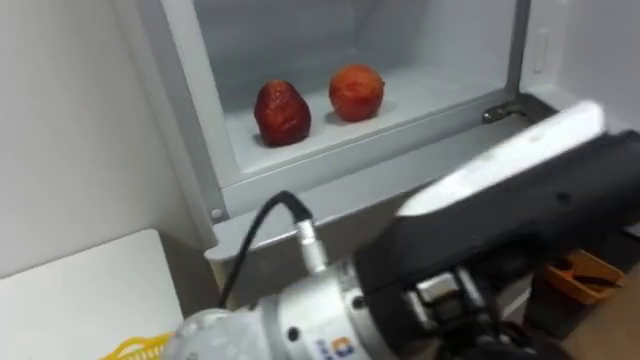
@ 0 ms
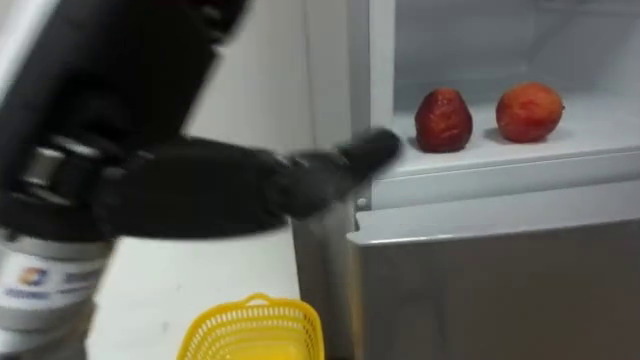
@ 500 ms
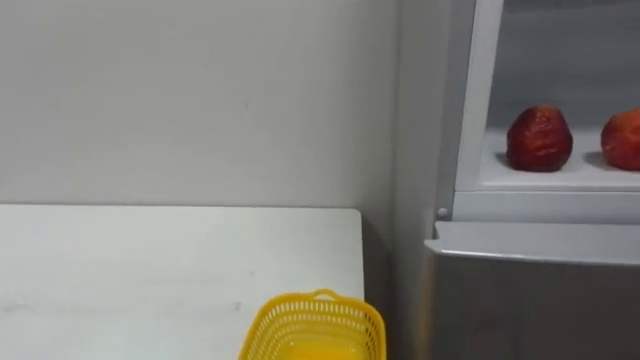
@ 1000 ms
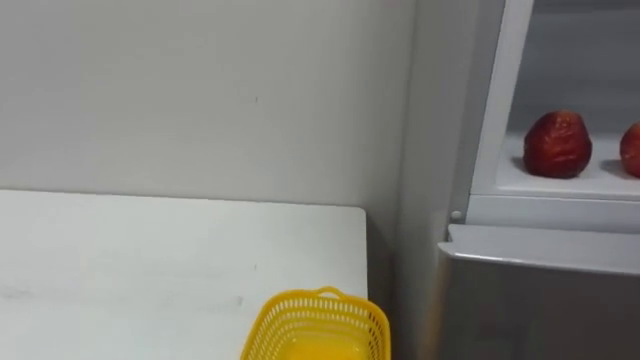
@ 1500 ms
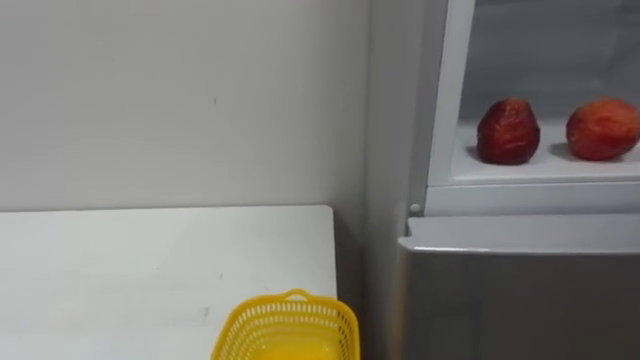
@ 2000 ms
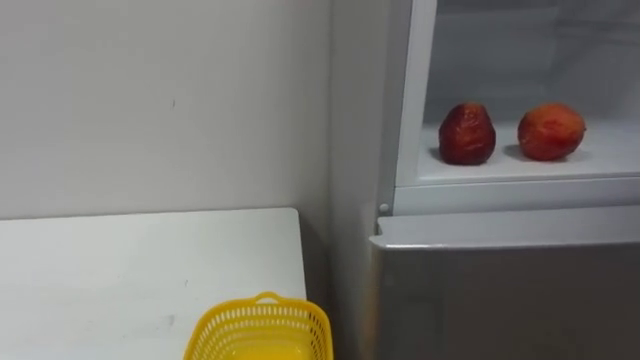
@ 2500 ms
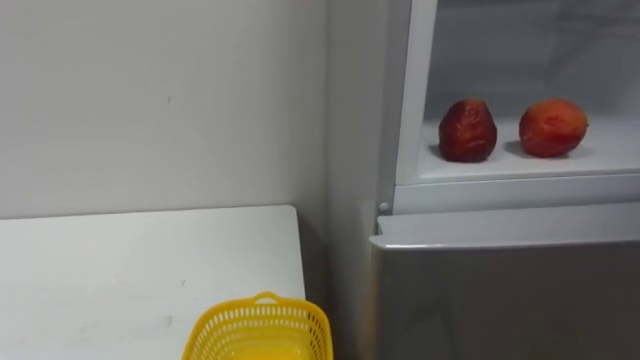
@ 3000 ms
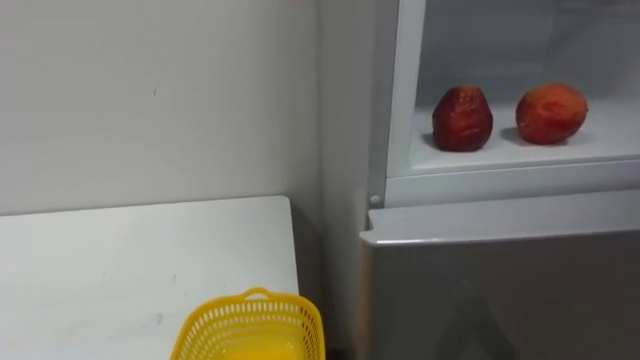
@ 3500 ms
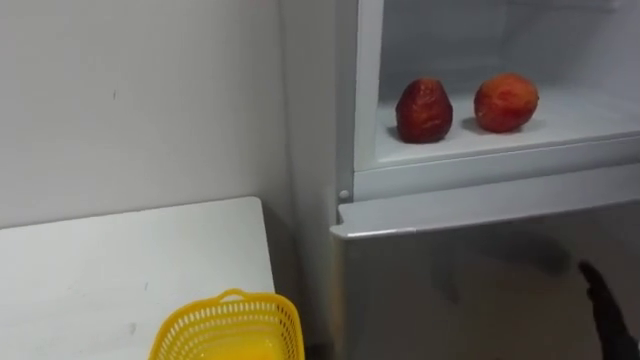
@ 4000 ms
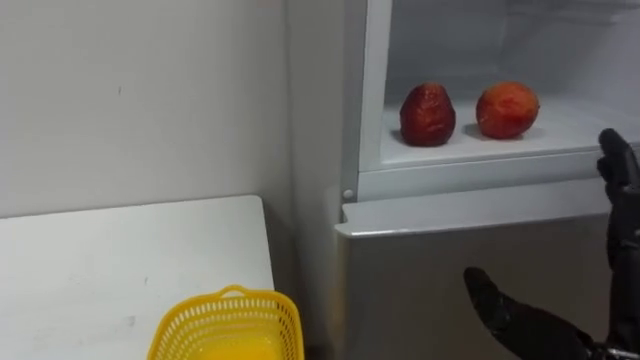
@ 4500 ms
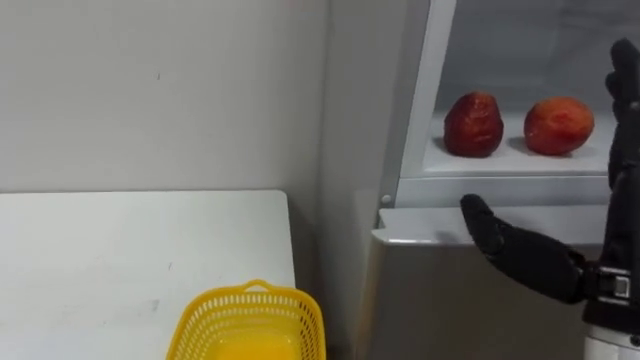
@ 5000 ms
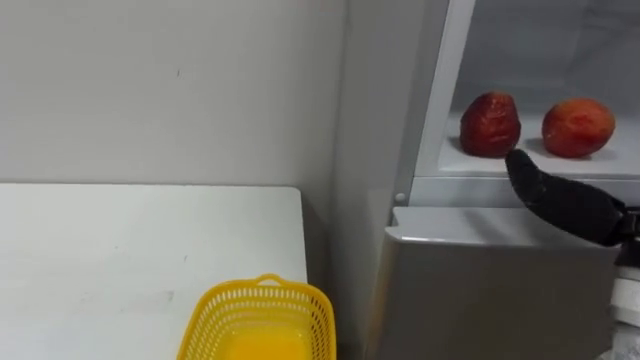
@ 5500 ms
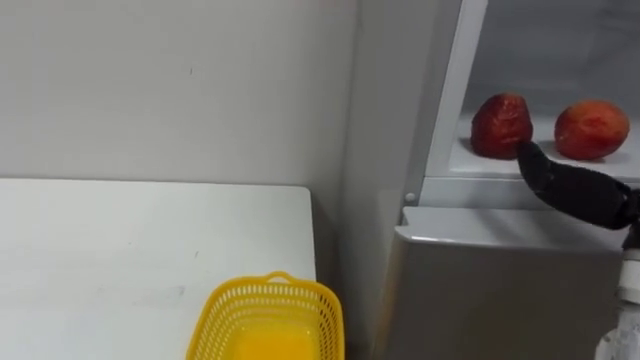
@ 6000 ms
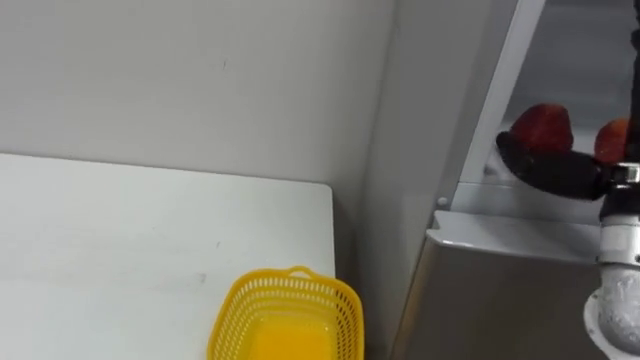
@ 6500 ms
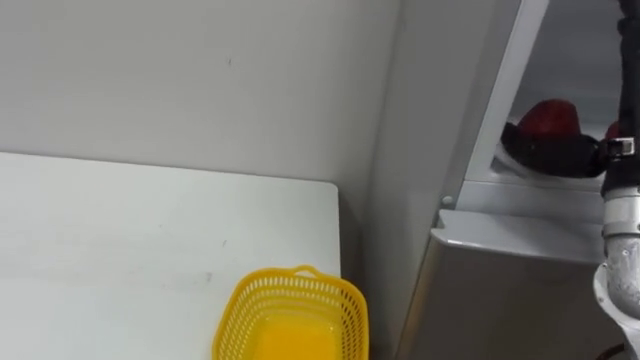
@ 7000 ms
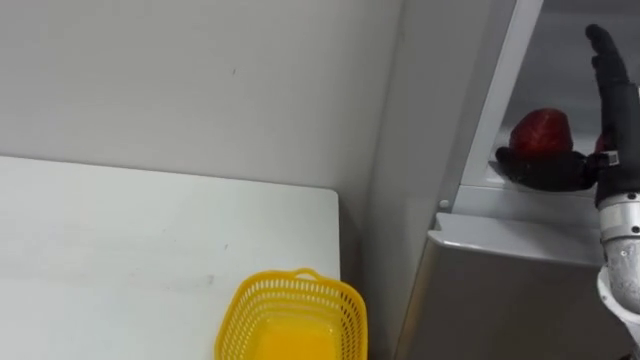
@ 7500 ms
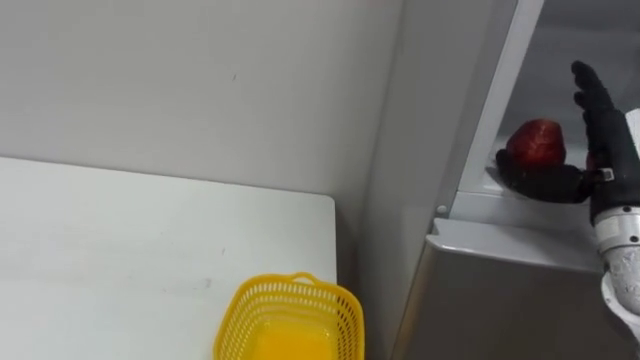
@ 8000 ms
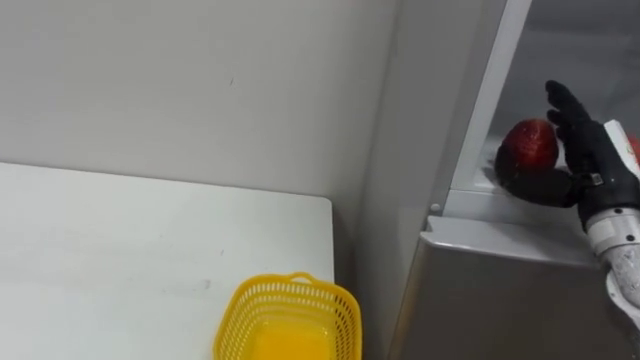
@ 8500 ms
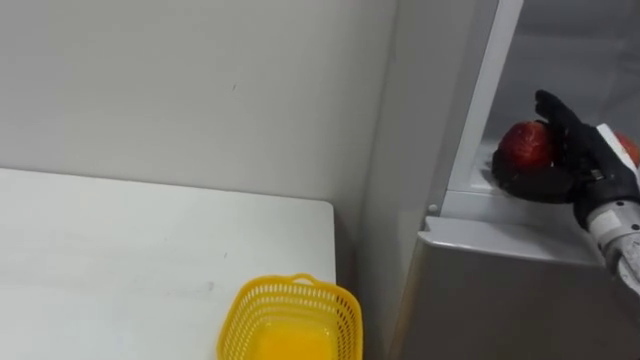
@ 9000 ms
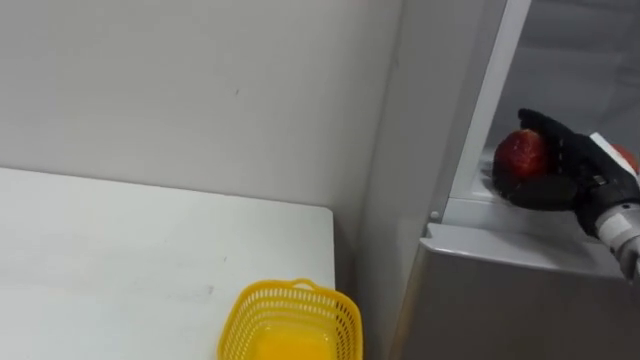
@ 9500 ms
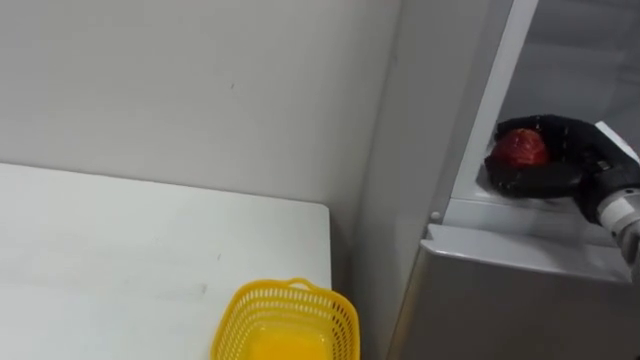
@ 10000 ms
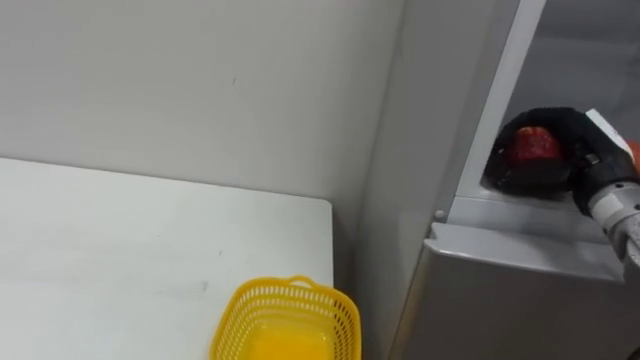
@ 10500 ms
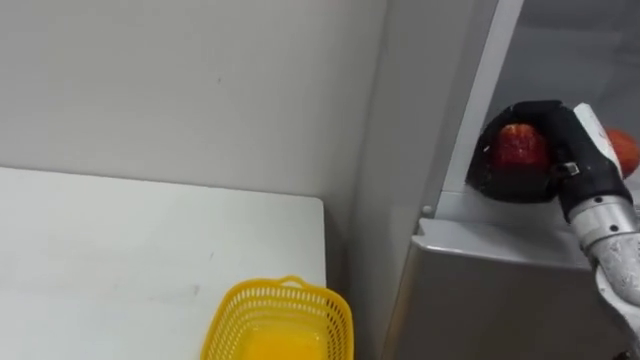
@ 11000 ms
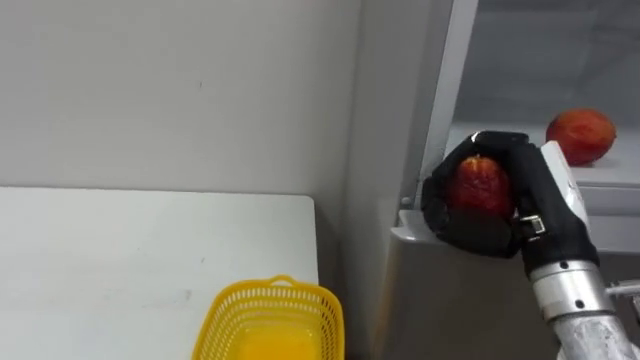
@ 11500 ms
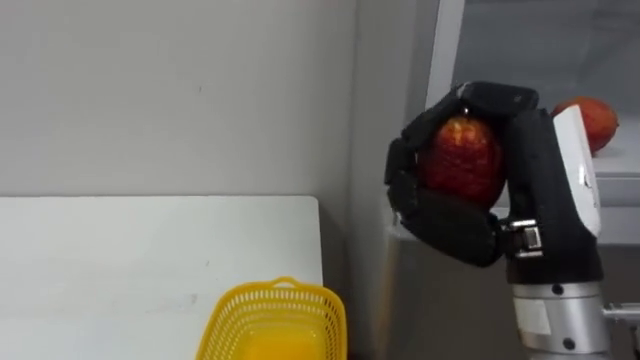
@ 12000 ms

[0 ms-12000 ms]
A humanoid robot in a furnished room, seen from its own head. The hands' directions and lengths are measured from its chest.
Task of the whole recording: Open the refrigerator door, take out the apple and the pomegranate, place them in the fruit basket on the left, and close the refrigerator door.
8000 ms to 10000 ms: The right hand closes.
10000 ms to 12000 ms: The right hand goes some 20 cm backward, to the left and upward.

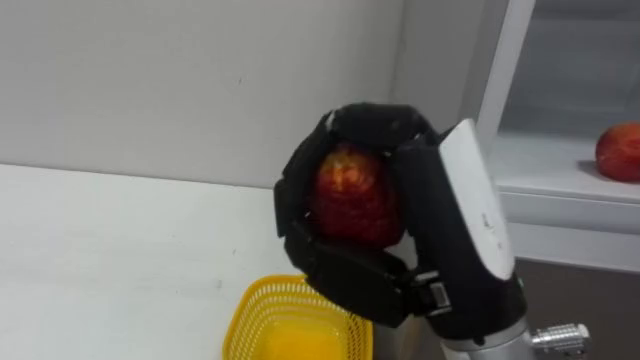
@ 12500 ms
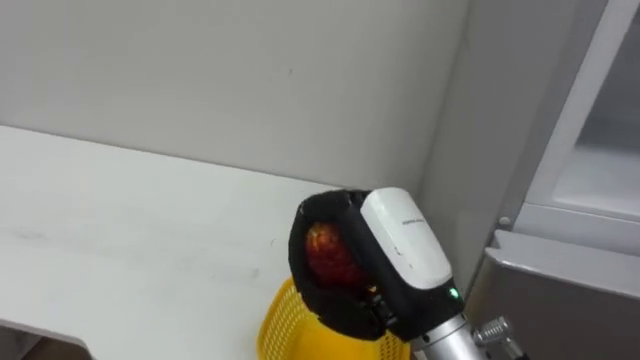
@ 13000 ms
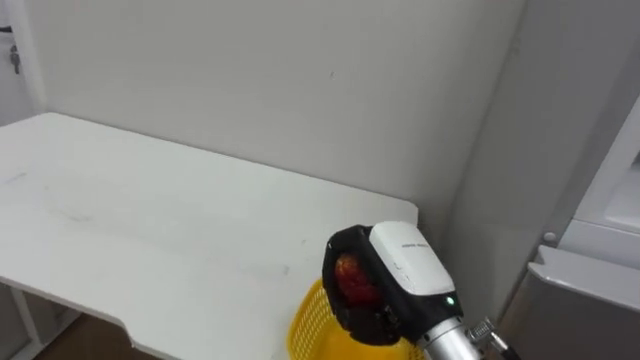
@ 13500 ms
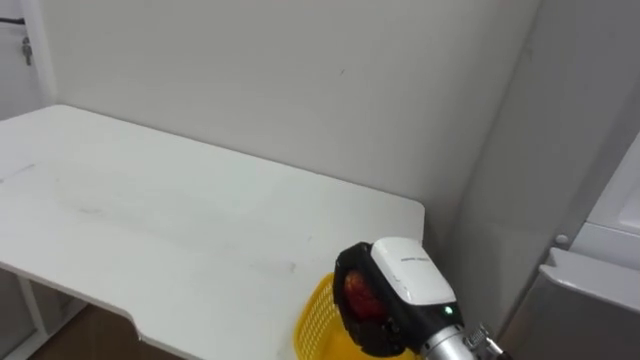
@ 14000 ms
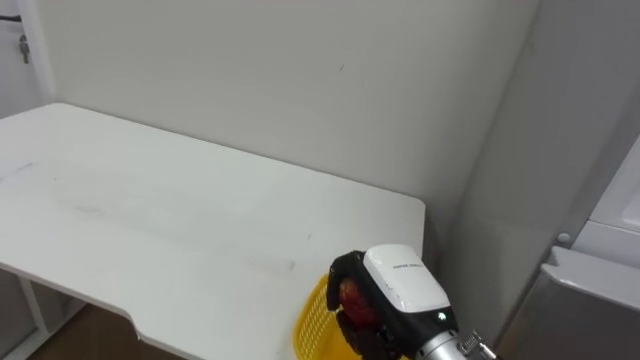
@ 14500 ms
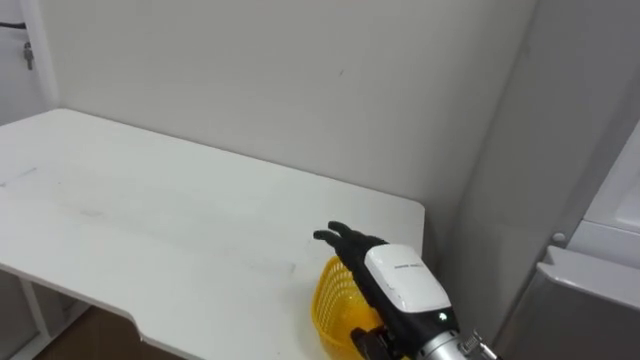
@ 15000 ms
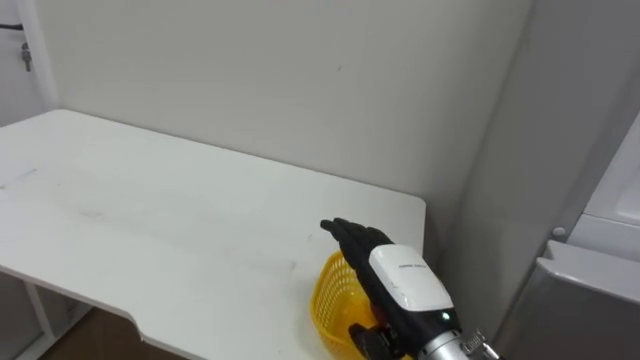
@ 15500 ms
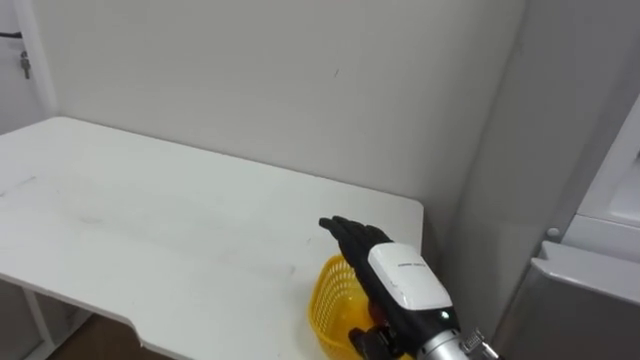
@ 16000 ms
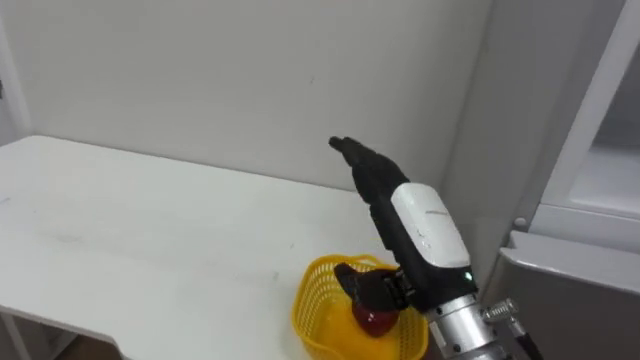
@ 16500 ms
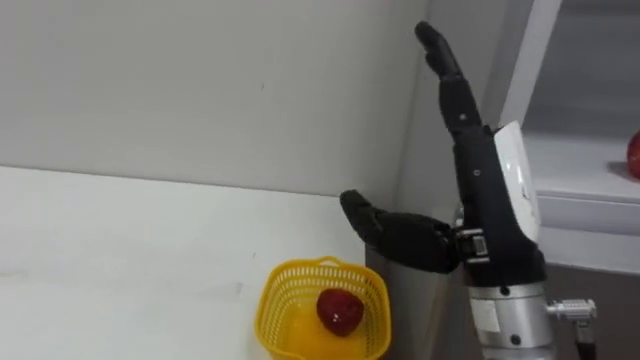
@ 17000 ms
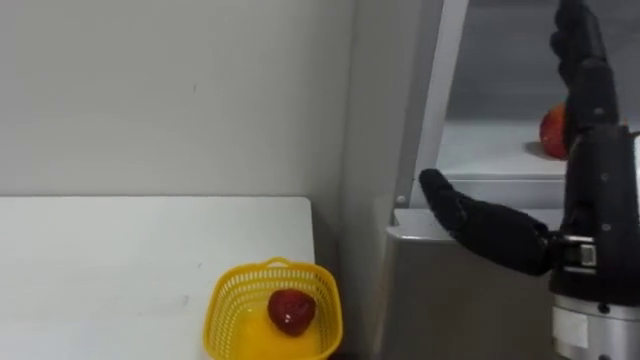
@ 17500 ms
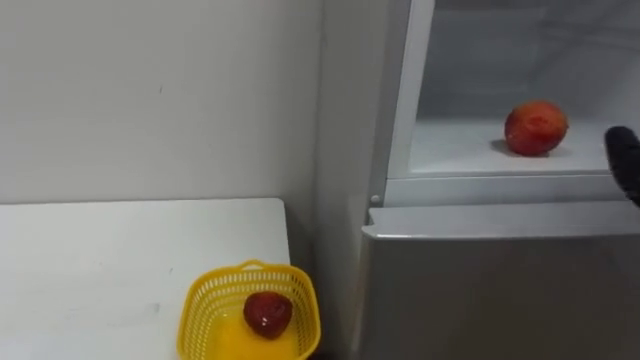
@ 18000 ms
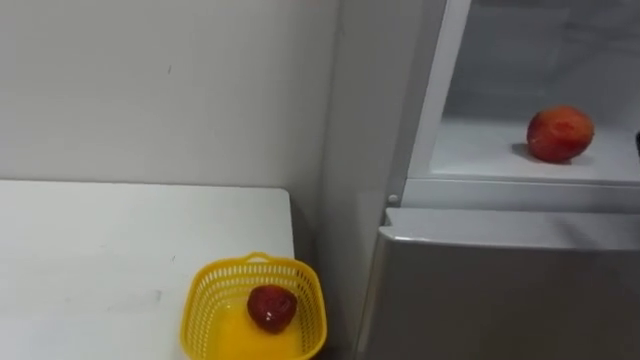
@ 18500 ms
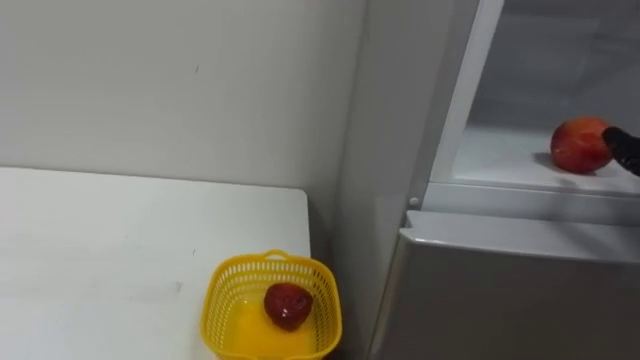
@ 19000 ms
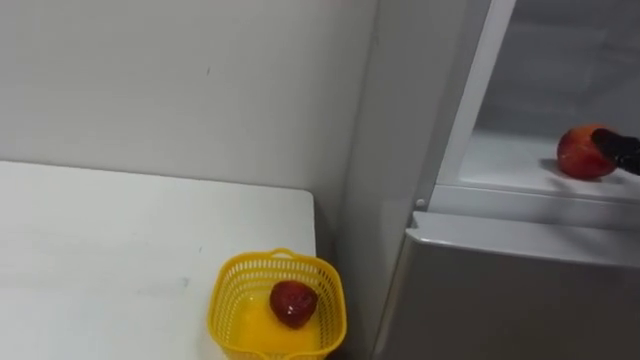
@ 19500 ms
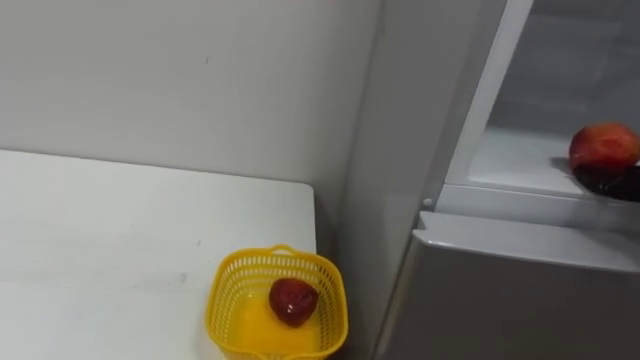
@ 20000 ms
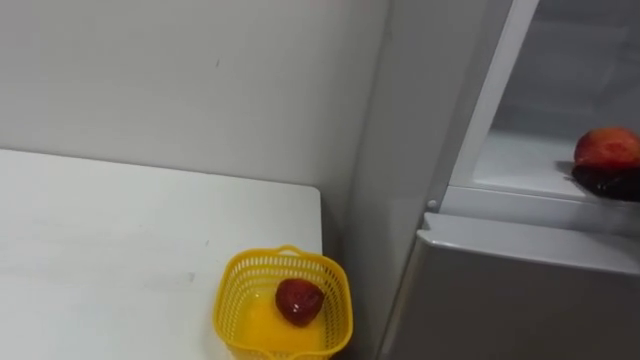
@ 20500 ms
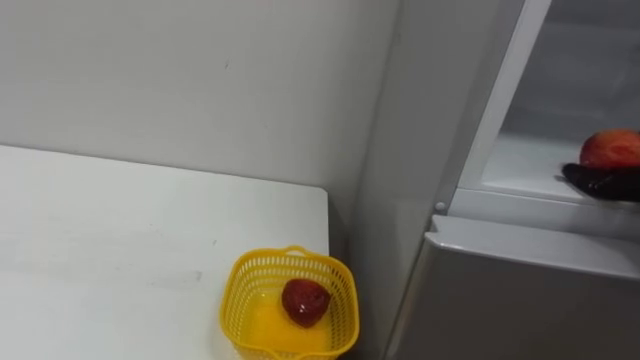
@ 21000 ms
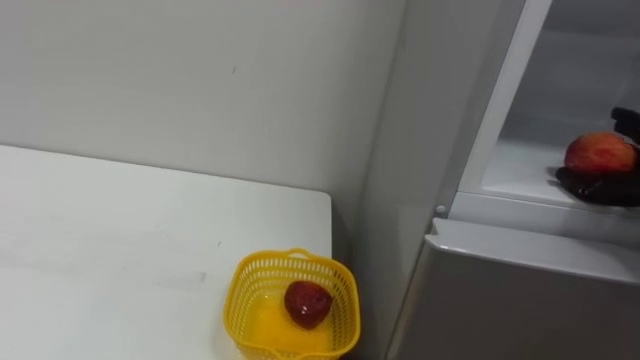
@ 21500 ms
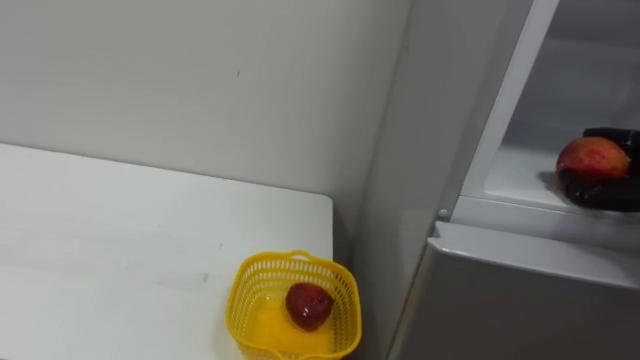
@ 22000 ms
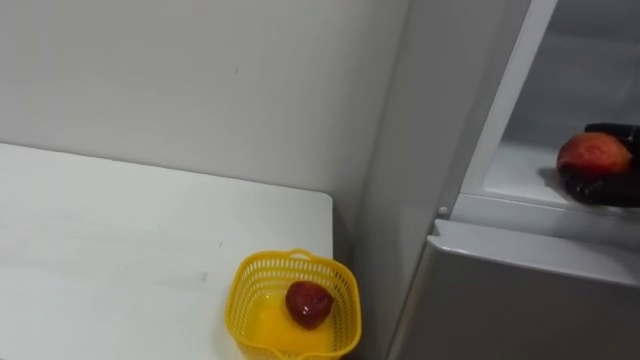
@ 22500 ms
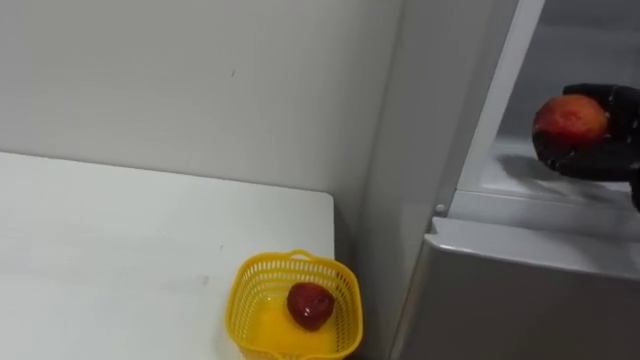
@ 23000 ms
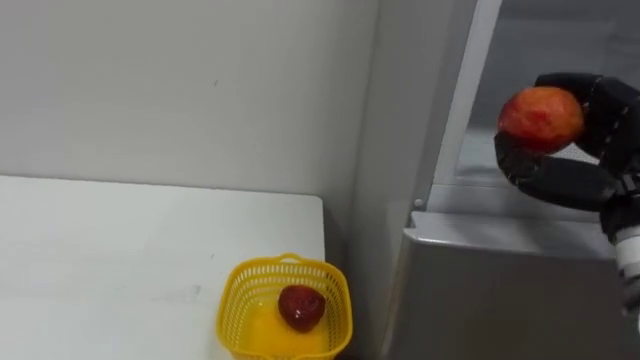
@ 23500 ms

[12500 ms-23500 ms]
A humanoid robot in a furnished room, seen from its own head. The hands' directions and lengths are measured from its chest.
Task of the whole recording: Open the refrigerator door, take out the apple and the pomegranate, place them in the fruit basket on the left, and close the refrigerator door.
12500 ms to 14500 ms: The right hand heads downward and forward, covering about 20 cm.
14500 ms to 16000 ms: The right hand opens its fingers.
